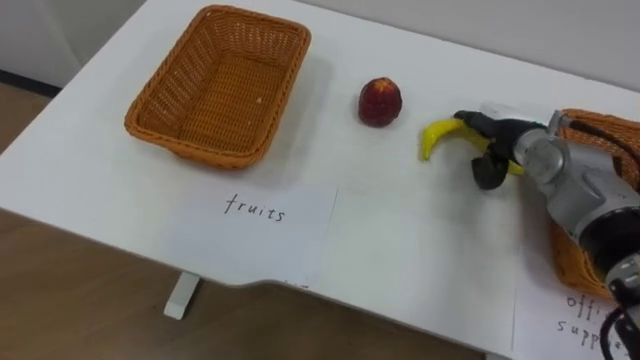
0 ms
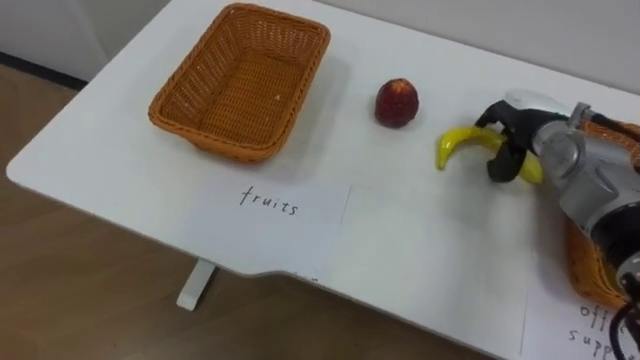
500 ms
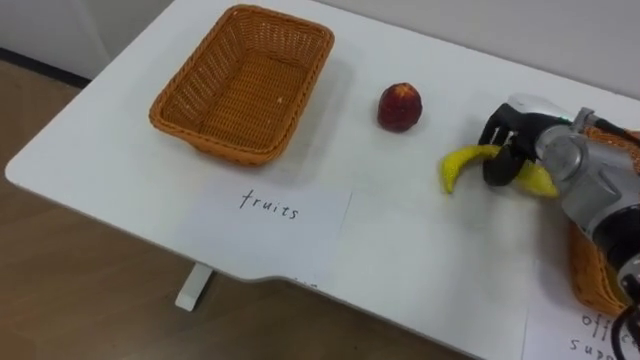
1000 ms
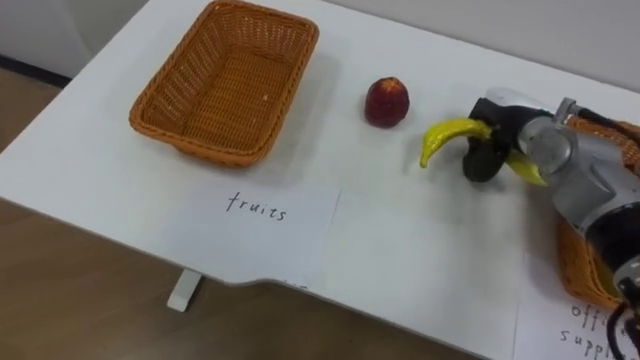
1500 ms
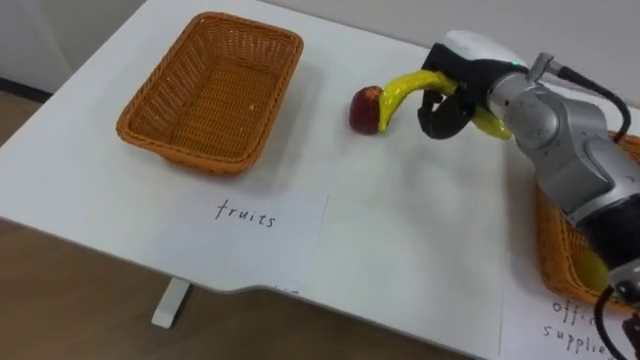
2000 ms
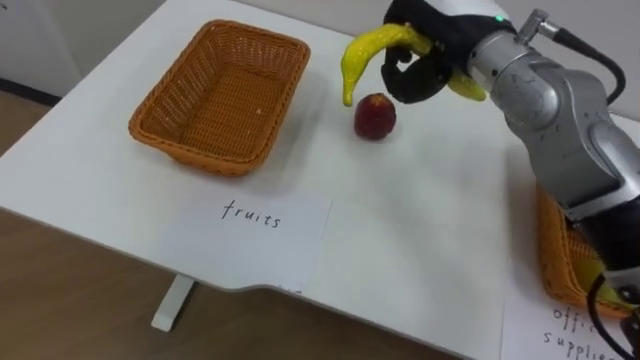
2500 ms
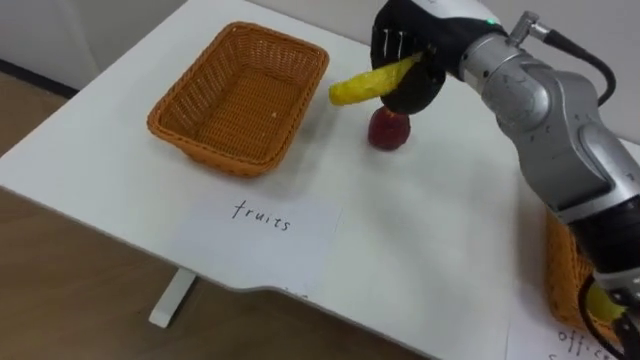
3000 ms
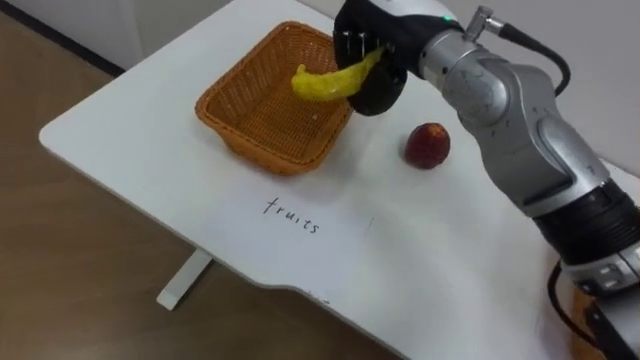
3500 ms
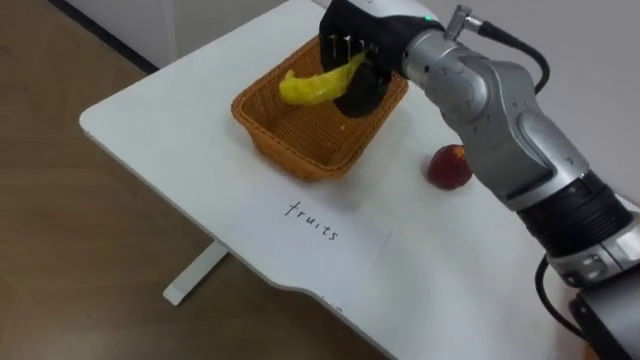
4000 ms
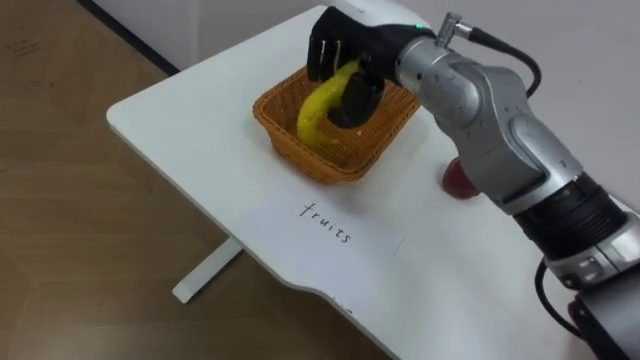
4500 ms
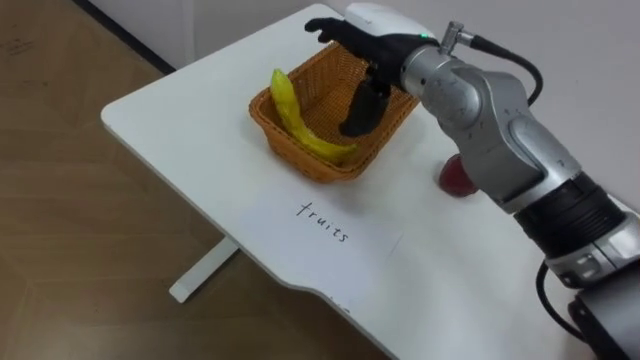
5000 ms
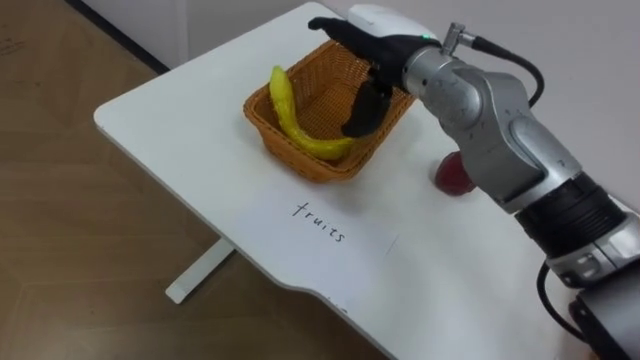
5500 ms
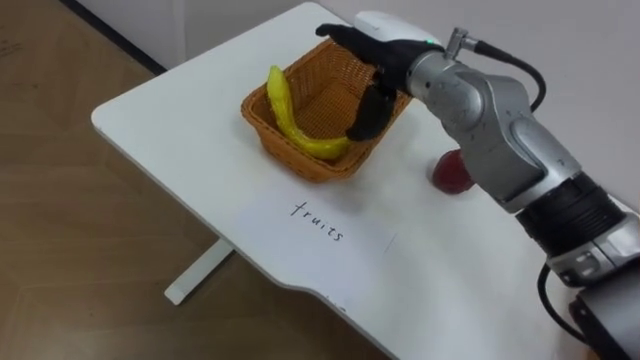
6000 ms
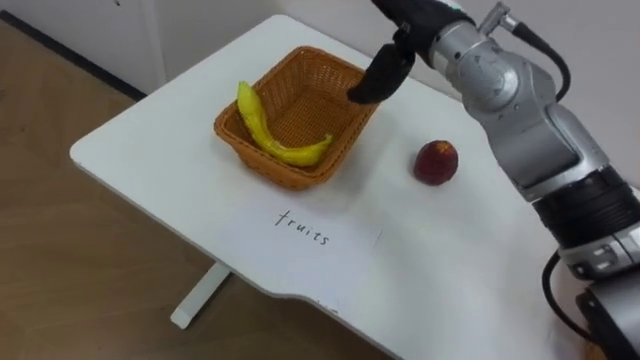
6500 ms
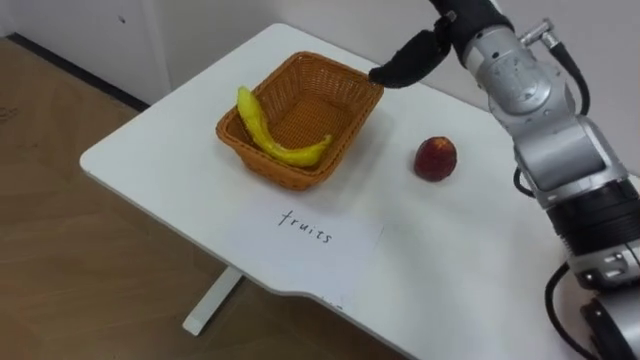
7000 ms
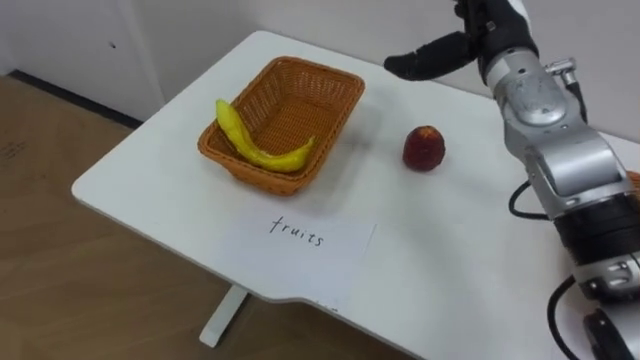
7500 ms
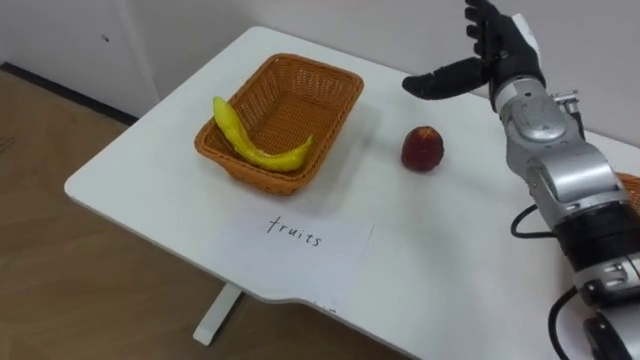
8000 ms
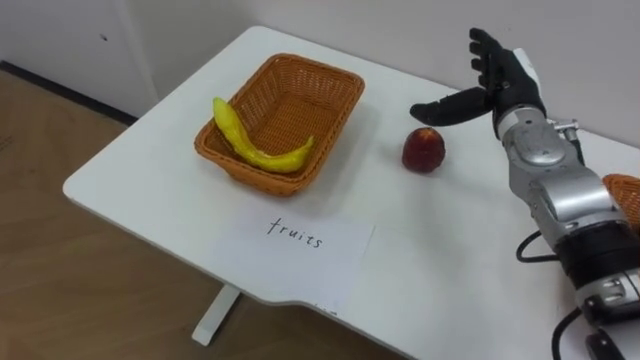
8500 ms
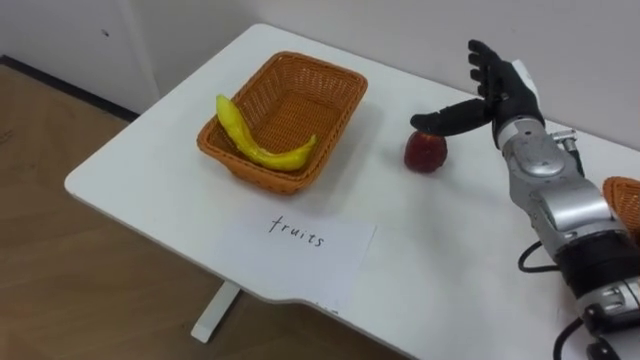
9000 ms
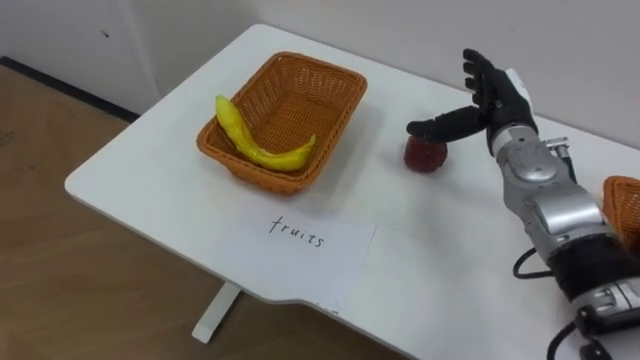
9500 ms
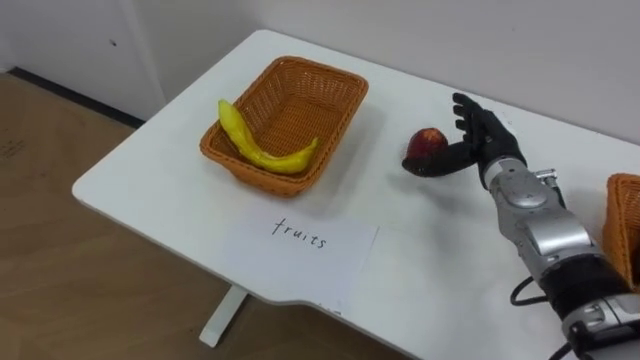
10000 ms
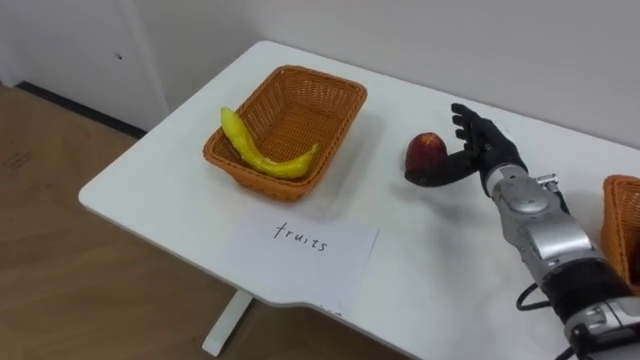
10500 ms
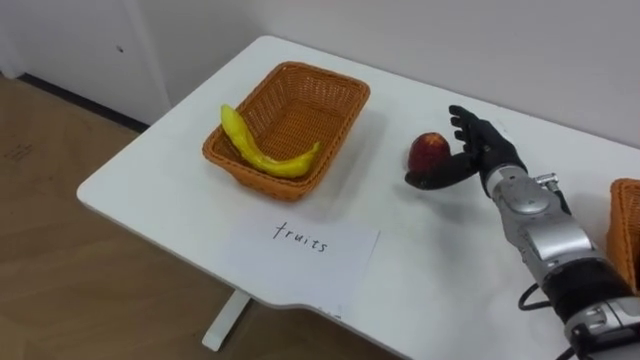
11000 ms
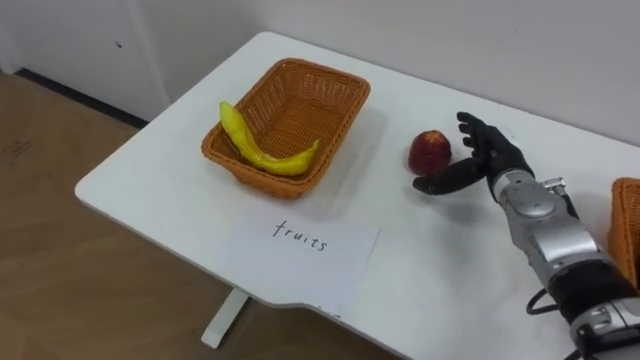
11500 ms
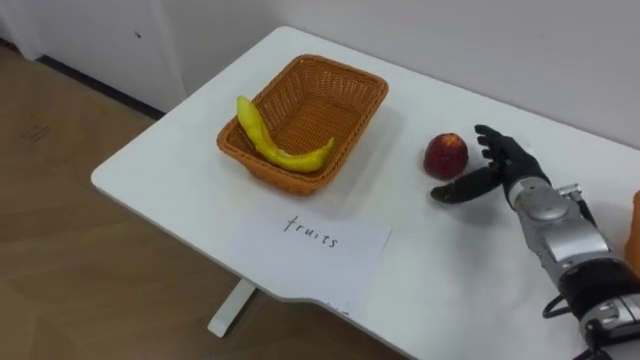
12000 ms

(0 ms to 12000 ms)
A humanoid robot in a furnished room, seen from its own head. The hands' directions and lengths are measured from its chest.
Task of the whole recording: Separate the items on the table and place them into the two baskets.
0 ms - 2000 ms: The right hand moves upward and to the left, approximately 10 cm, and closes its fingers.
2000 ms - 4000 ms: The right hand shifts about 15 cm to the left and upward.
4000 ms - 6000 ms: The right hand opens its fingers.
8000 ms - 10000 ms: The right hand travels downward by about 10 cm.
10000 ms - 12000 ms: The right hand ends up roughly 5 cm from where it was.

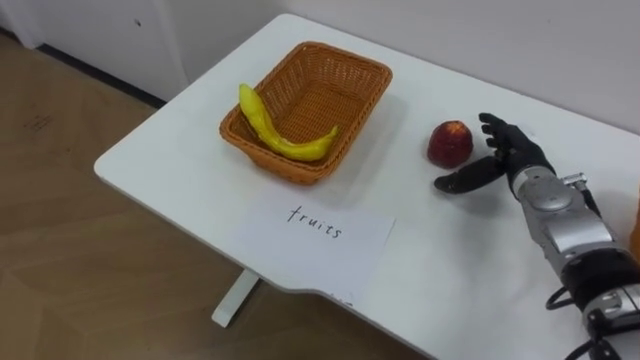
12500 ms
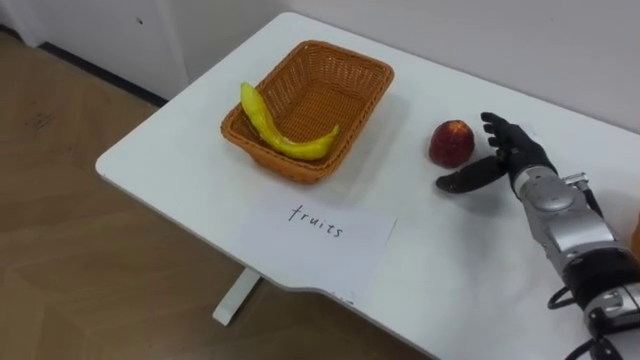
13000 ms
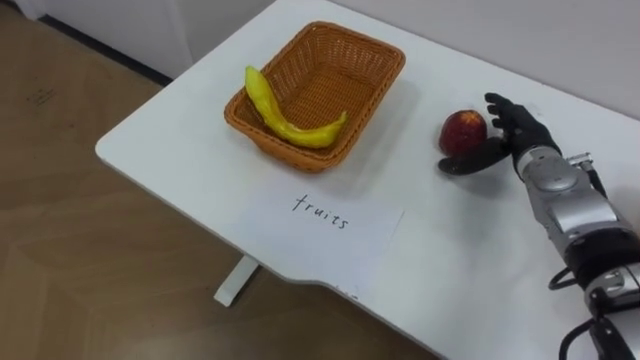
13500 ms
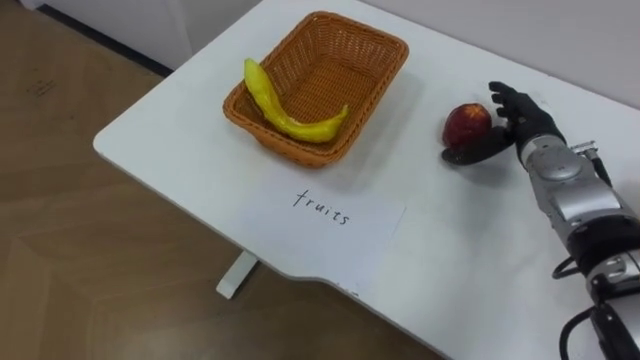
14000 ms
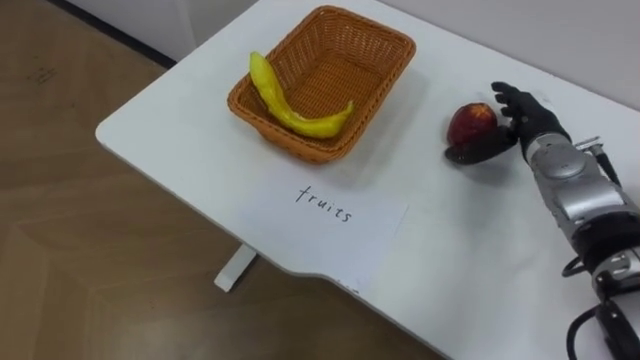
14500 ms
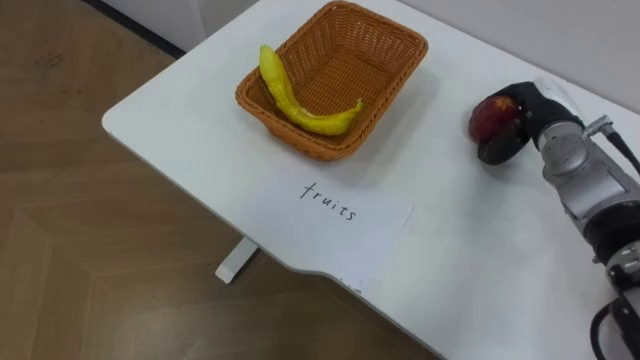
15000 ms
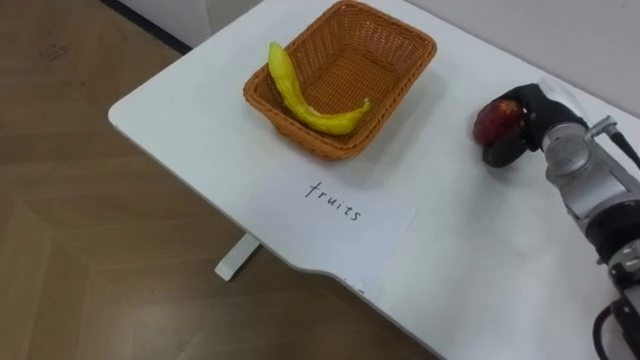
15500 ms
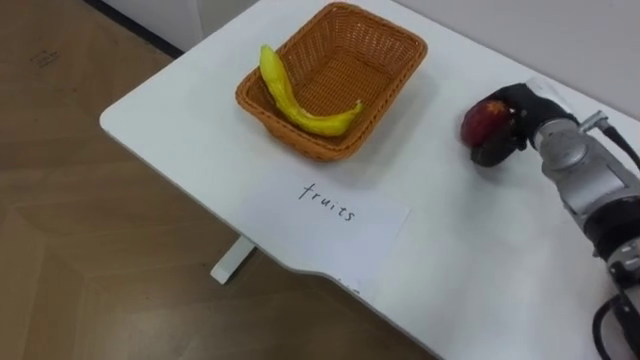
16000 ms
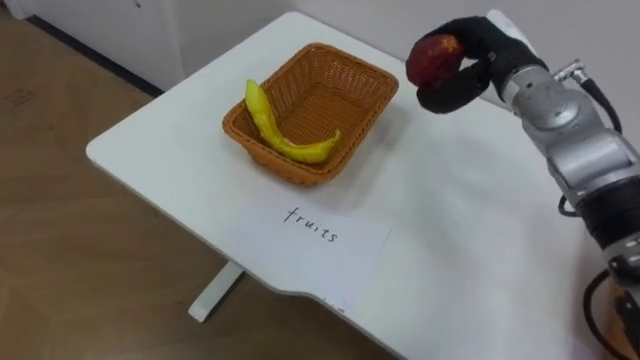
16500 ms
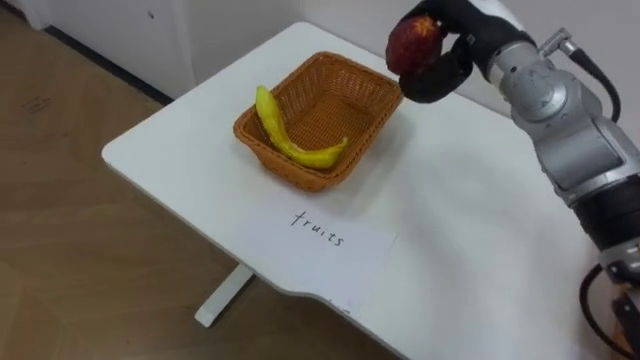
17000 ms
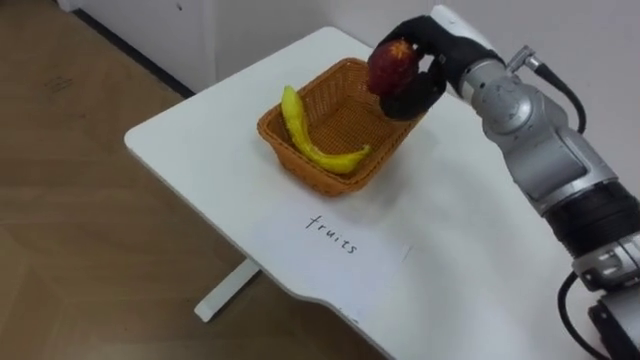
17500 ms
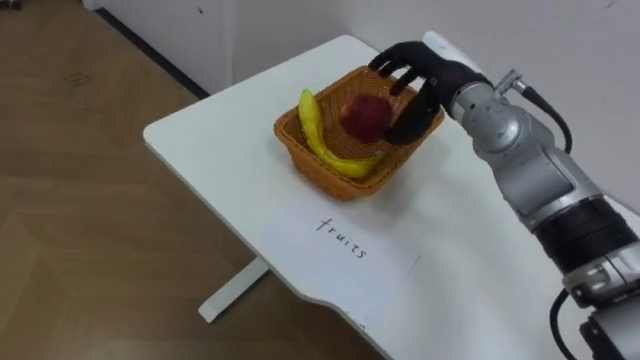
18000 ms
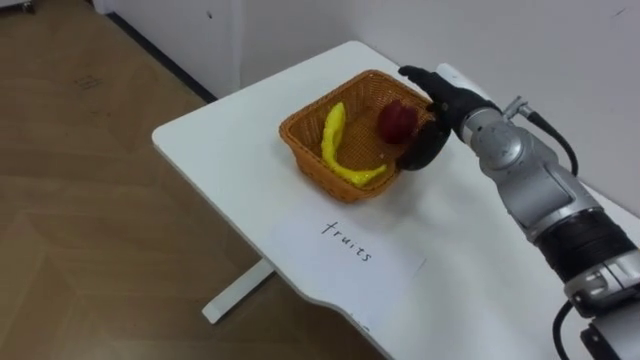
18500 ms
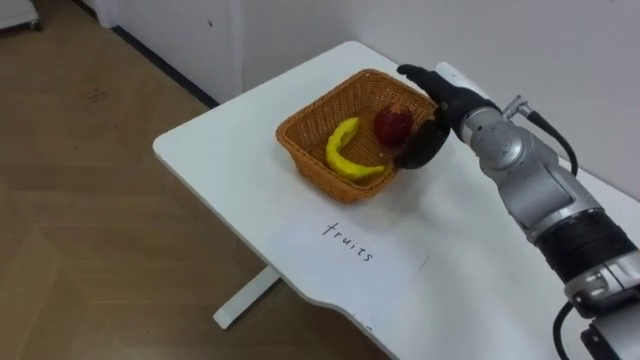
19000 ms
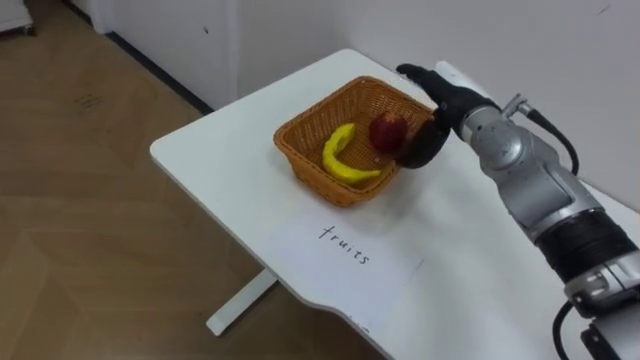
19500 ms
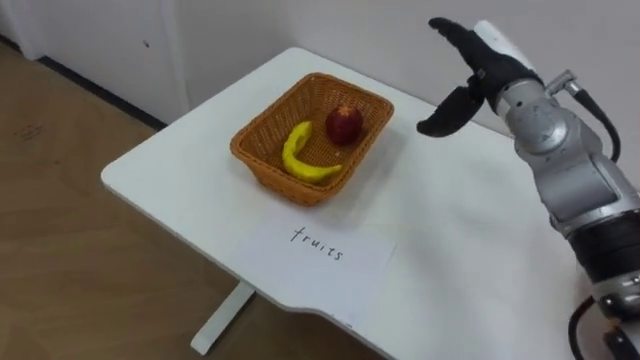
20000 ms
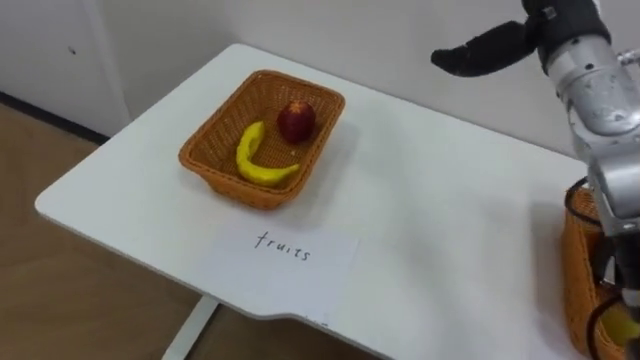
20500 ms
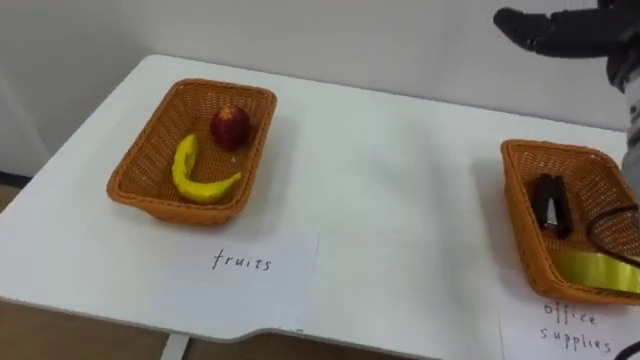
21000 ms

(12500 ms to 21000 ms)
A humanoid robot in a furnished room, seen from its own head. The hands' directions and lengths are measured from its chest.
Task of the whole recording: Separate the items on the table and place them into the two baskets.
14500 ms - 16500 ms: The right hand heads upward and to the left, covering roughly 10 cm, and closes its fingers.
16500 ms - 19000 ms: The right hand moves downward, some 5 cm, and opens.
19000 ms - 21000 ms: The right hand shifts some 20 cm upward, to the right and backward.
